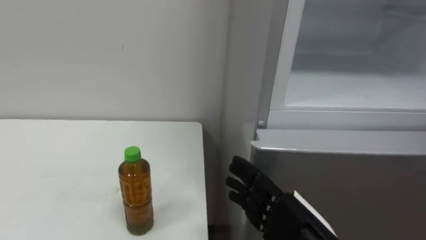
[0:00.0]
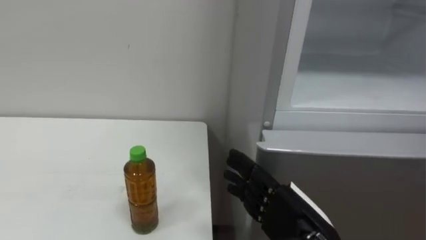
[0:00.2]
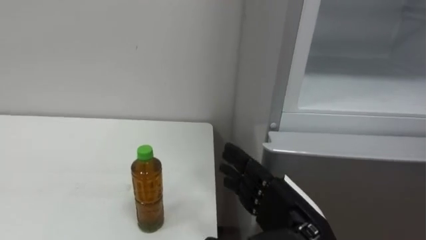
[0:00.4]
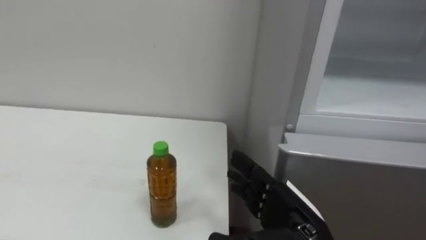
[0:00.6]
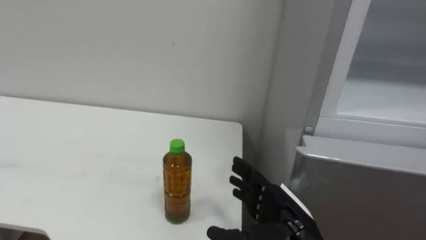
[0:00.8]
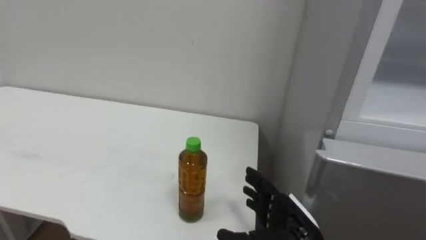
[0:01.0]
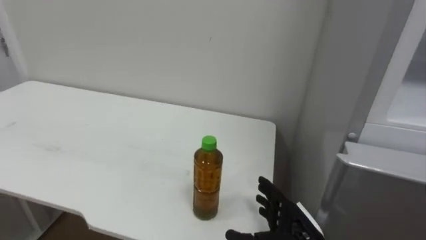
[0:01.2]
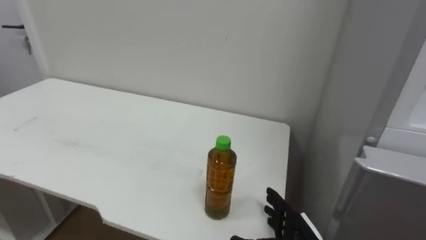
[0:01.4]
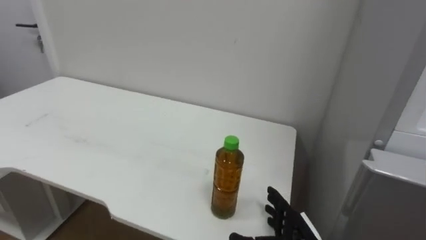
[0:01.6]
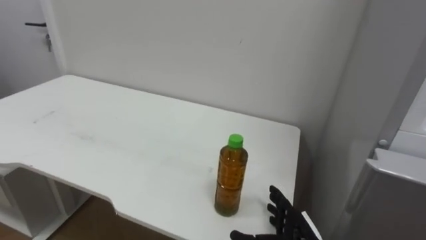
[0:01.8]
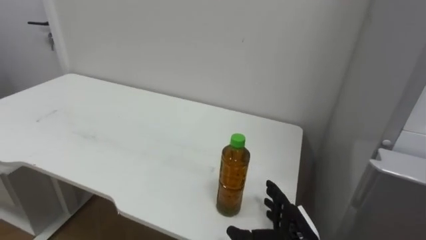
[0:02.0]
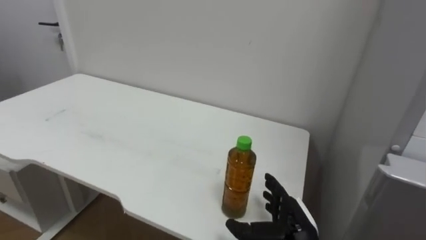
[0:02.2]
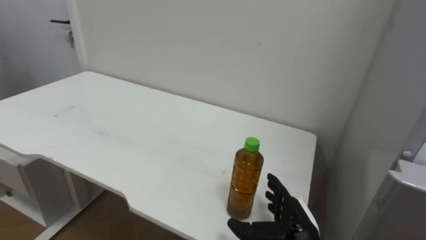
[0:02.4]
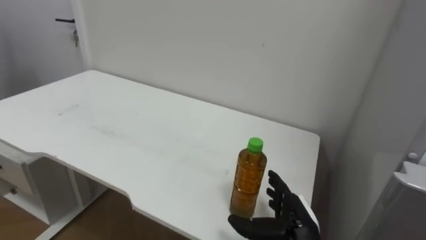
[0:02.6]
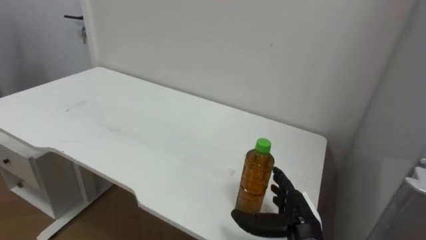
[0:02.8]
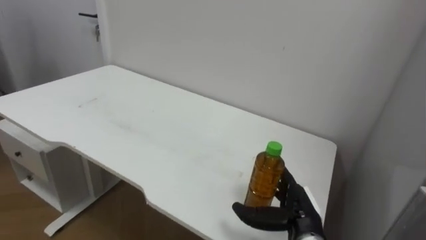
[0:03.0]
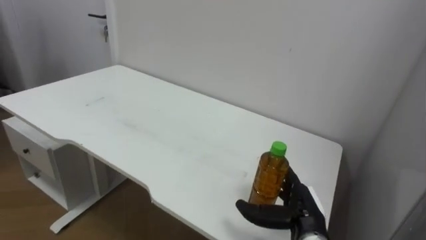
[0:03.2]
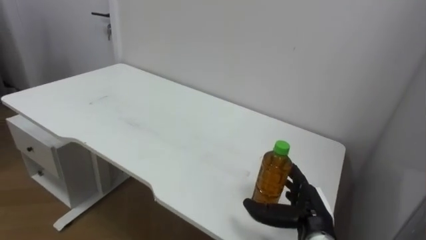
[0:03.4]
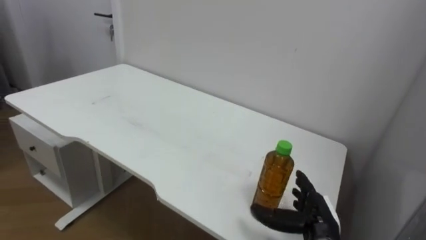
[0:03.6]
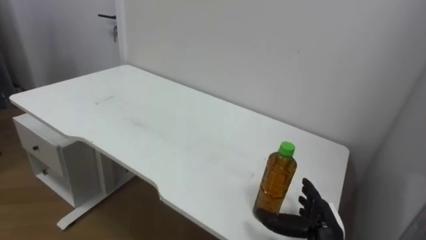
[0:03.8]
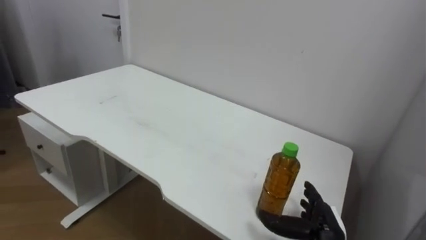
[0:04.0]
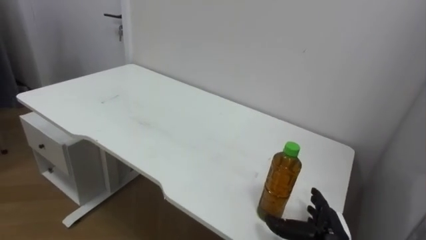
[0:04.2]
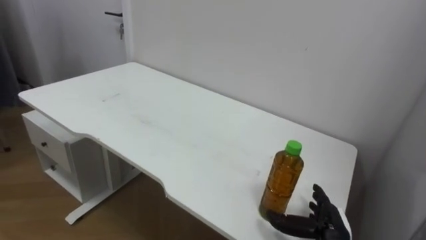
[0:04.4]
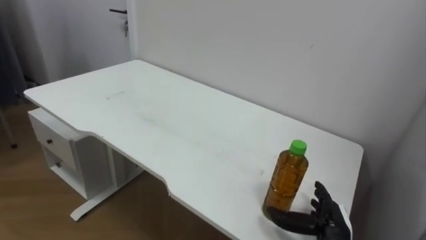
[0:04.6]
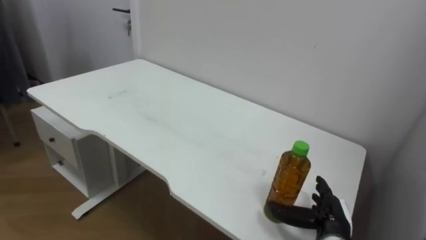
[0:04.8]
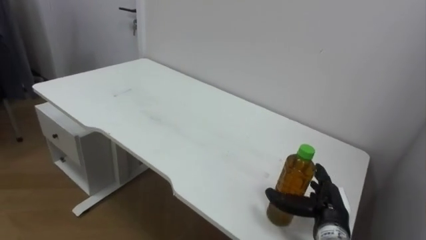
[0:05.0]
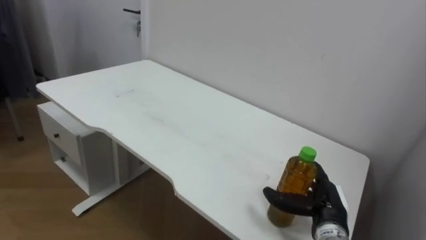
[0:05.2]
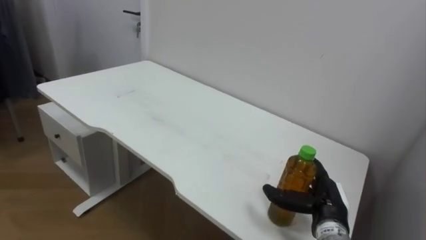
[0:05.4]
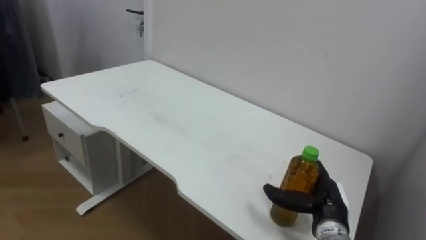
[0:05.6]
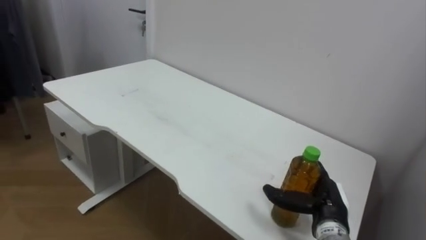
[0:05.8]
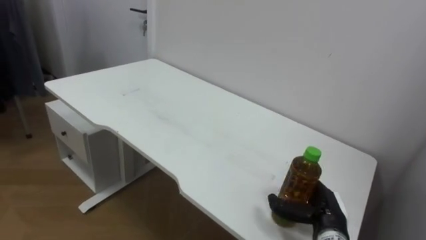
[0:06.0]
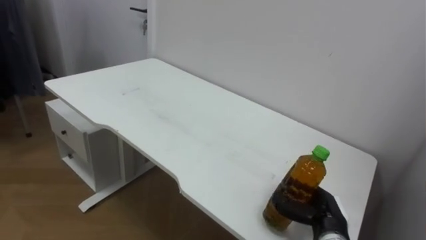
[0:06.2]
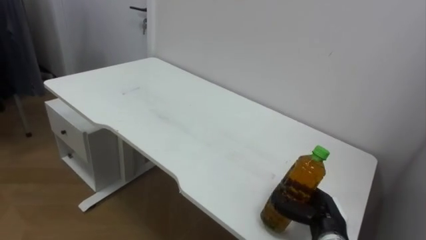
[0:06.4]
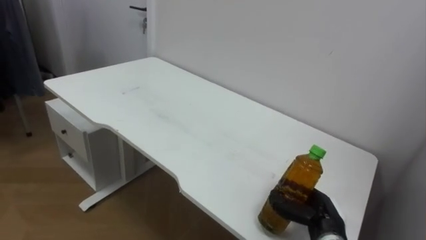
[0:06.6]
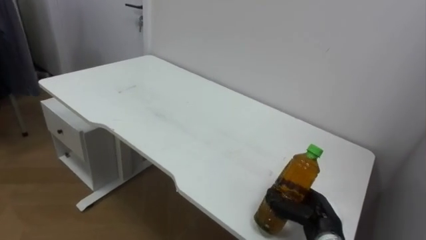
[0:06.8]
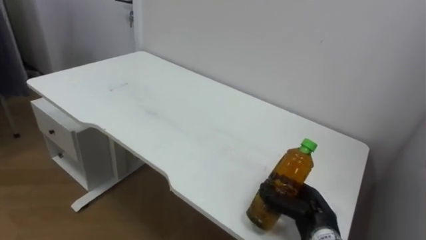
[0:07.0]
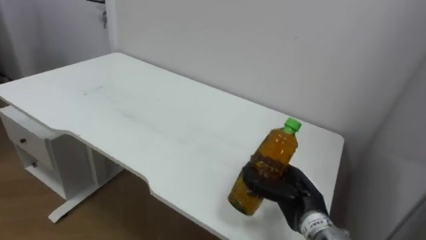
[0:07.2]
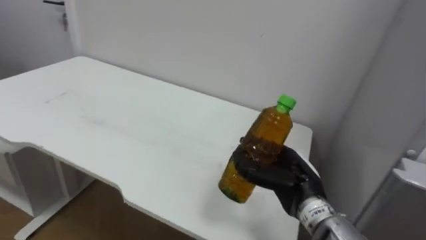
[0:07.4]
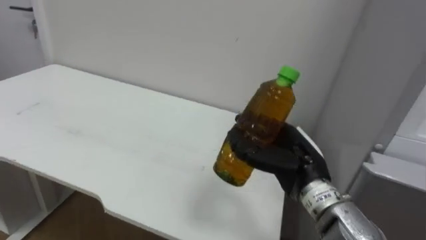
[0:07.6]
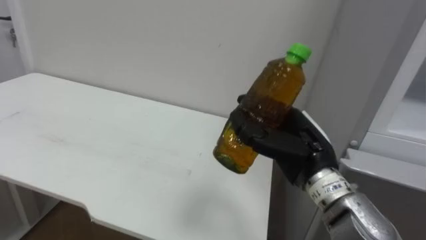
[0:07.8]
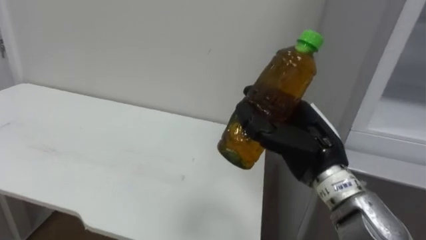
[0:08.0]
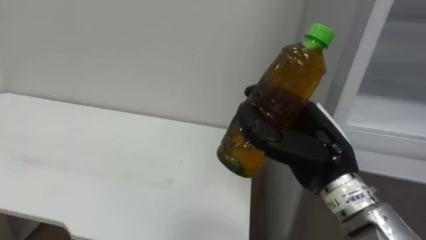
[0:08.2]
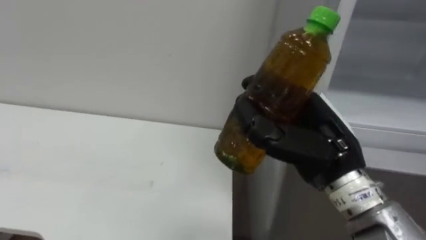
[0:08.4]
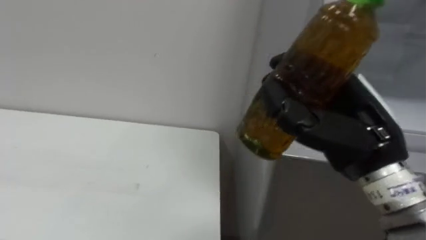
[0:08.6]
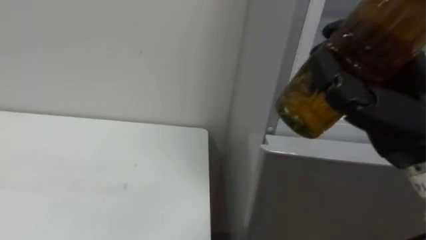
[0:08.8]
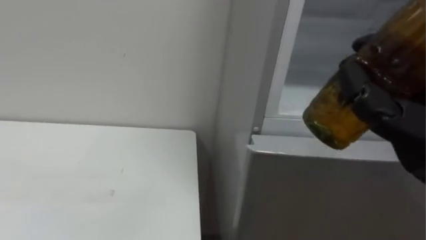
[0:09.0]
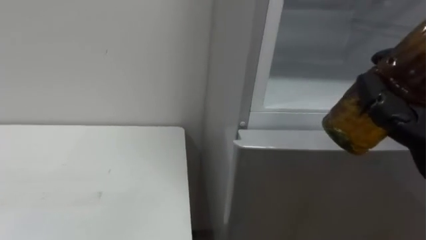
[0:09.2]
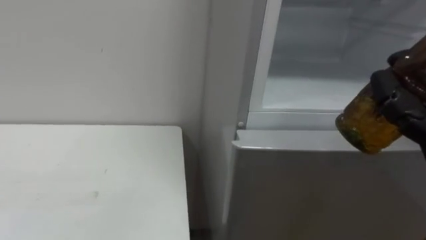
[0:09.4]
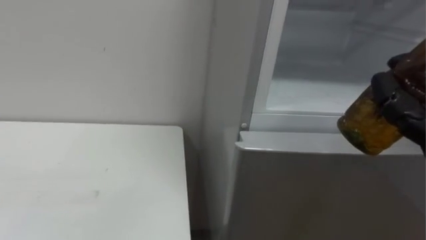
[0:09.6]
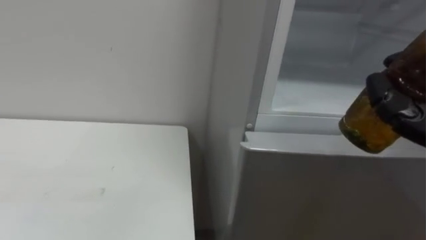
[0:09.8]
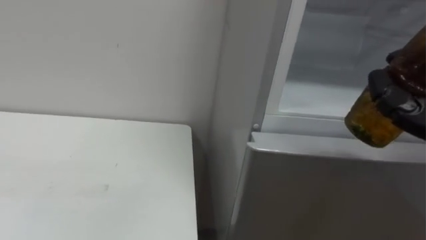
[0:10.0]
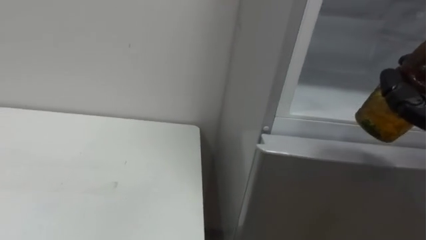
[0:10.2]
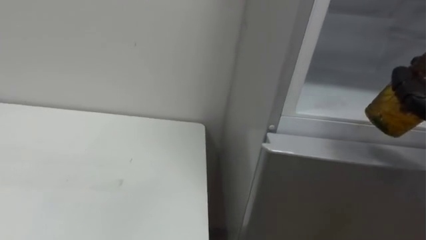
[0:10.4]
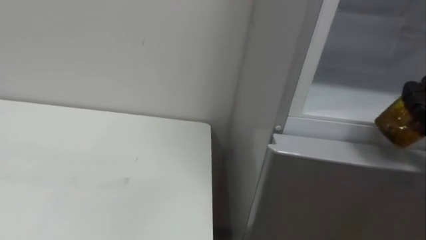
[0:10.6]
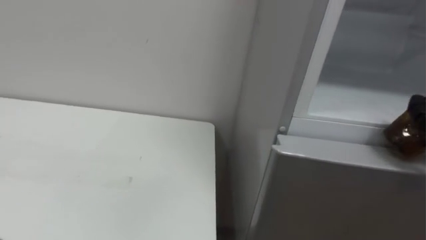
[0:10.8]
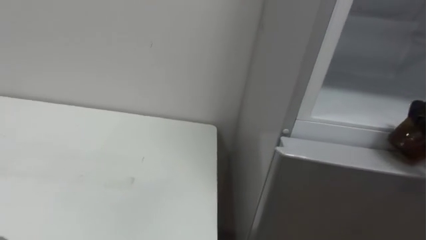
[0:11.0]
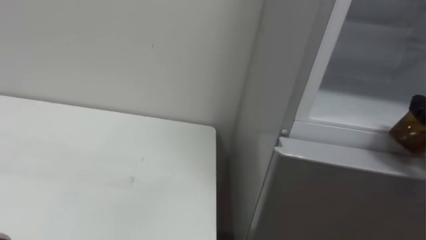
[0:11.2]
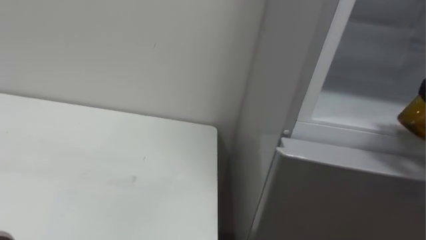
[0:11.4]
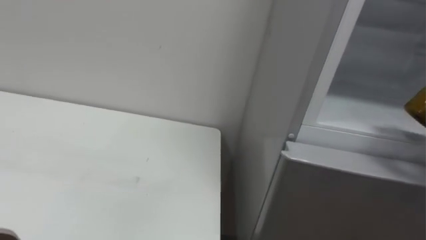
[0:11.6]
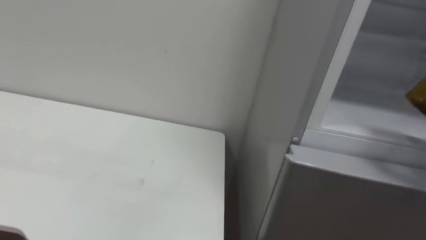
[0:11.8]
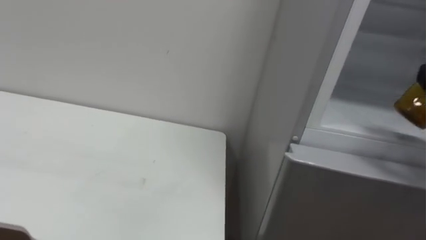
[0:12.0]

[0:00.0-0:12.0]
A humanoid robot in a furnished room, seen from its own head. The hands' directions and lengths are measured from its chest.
Task of the whole recording: Open the upper refrigerator door, put the drink from the table into the refrigerator, and then close the refrigerator door.
0:00.0 to 0:01.6: The right hand shifts some 10 cm downward and forward.
0:03.0 to 0:04.4: The right hand goes roughly 5 cm to the right.
0:06.0 to 0:07.6: The right hand shifts some 15 cm upward and to the left, and closes its fingers.
0:07.6 to 0:09.0: The right hand is displaced upward, to the right and backward by some 20 cm.

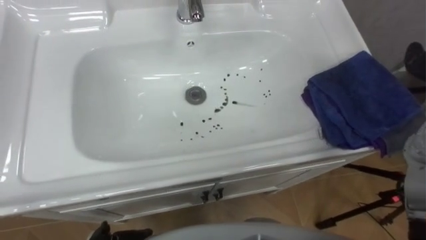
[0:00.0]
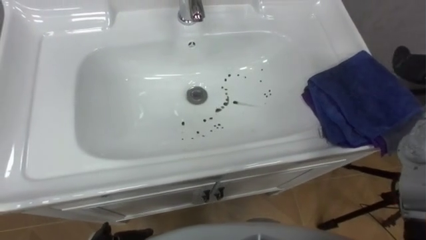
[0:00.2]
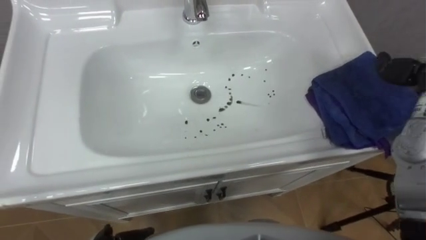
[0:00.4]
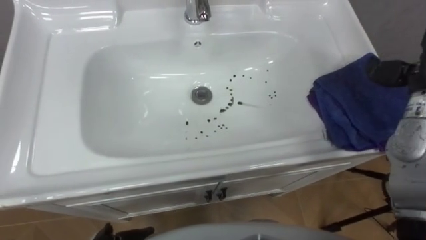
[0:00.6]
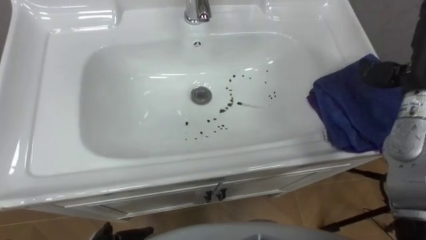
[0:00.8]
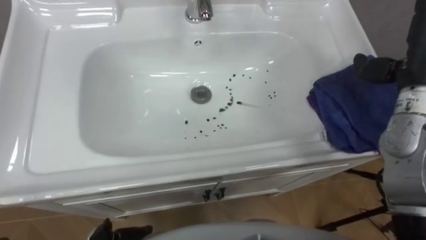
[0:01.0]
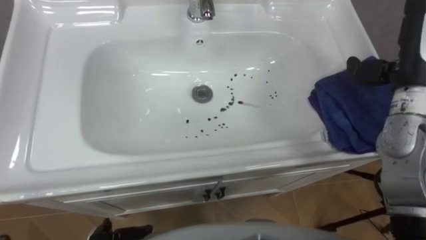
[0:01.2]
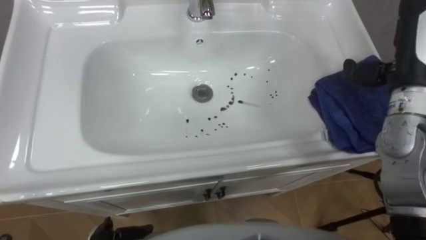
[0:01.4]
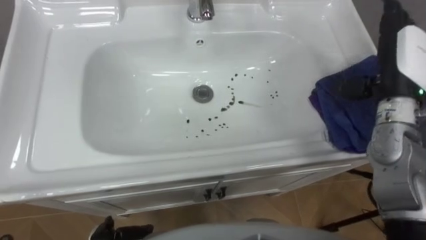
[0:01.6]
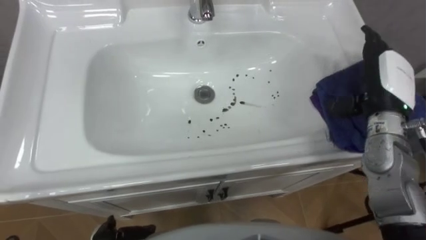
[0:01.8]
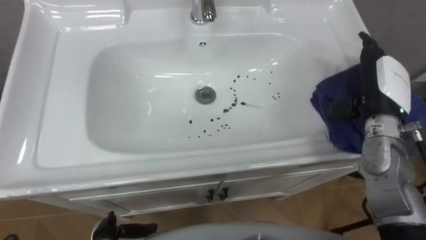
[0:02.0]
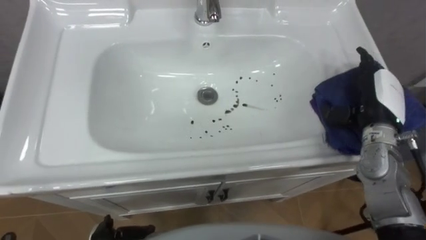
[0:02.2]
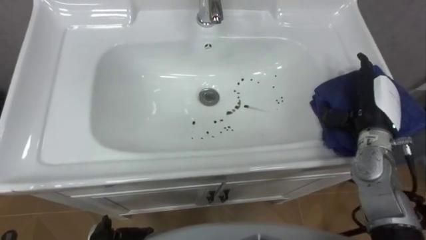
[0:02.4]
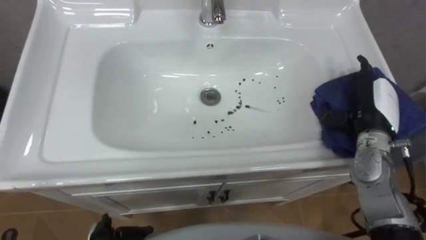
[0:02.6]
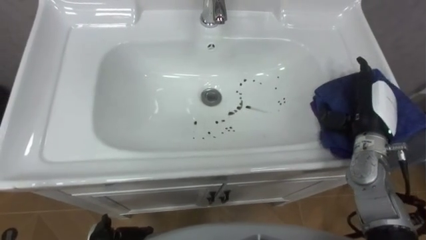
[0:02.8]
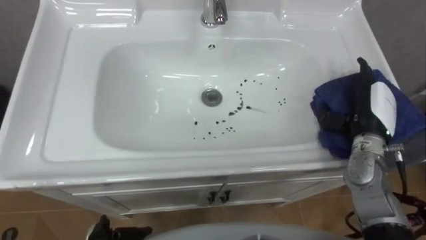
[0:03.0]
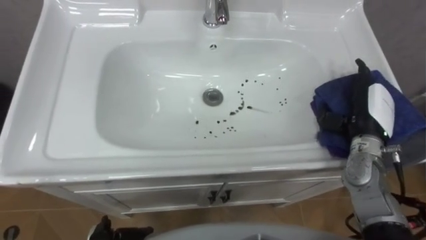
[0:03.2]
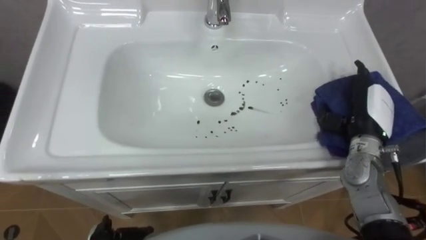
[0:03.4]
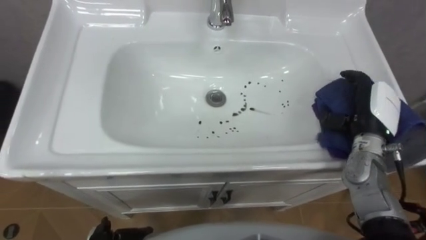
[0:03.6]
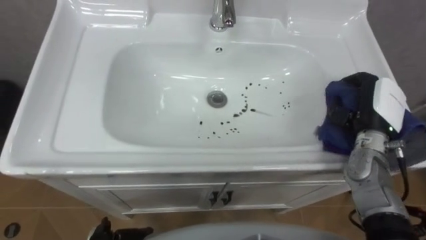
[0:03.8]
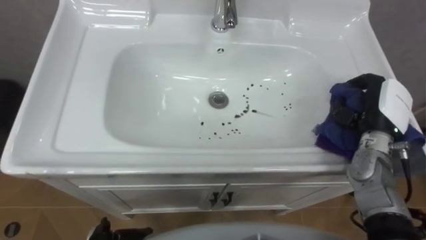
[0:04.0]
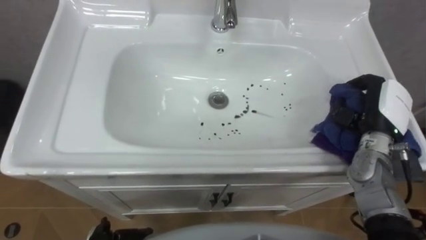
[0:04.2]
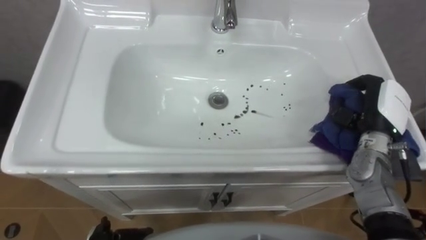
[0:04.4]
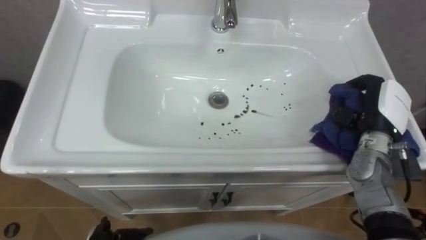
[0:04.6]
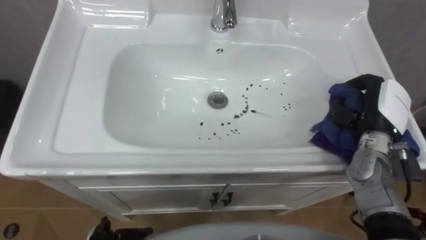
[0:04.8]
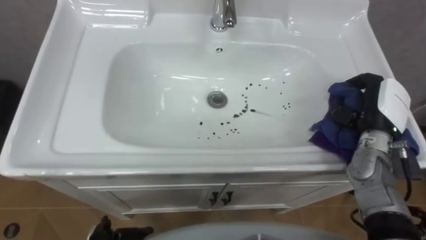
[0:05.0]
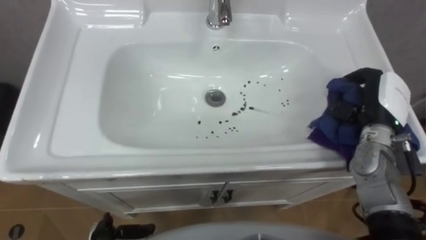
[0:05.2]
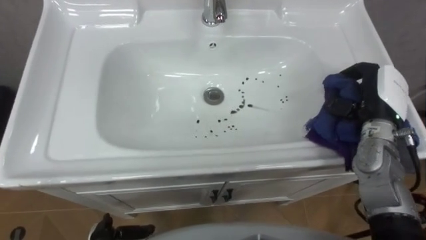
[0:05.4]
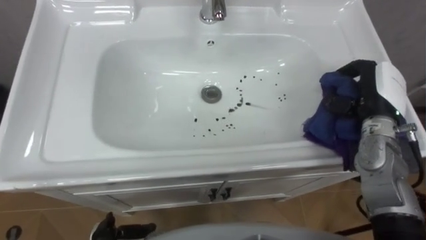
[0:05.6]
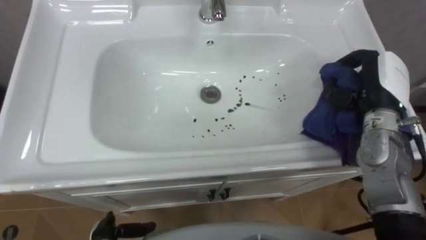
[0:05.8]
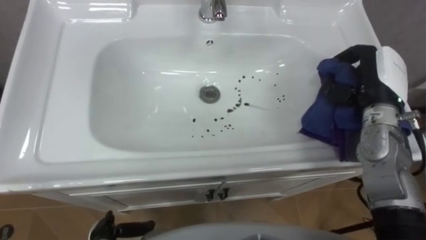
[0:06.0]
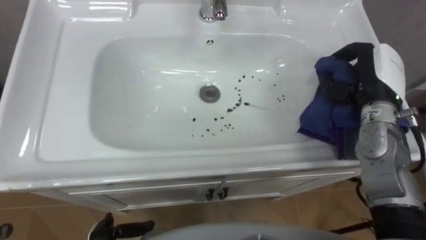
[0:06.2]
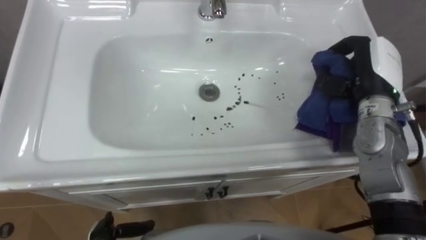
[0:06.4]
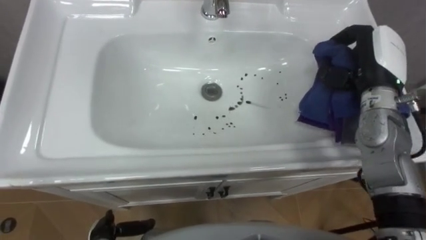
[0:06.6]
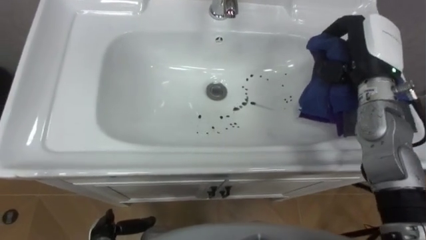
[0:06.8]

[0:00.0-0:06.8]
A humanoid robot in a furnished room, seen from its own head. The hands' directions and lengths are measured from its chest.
Task of the whole recording: Use the cloth on the right to wipe away the black stain in the sink.
0:01.4 to 0:02.8: The right hand is displaced downward by roughly 15 cm.
0:02.8 to 0:04.0: The right hand closes up.
0:05.4 to 0:06.8: The right hand goes approximately 5 cm upward.
